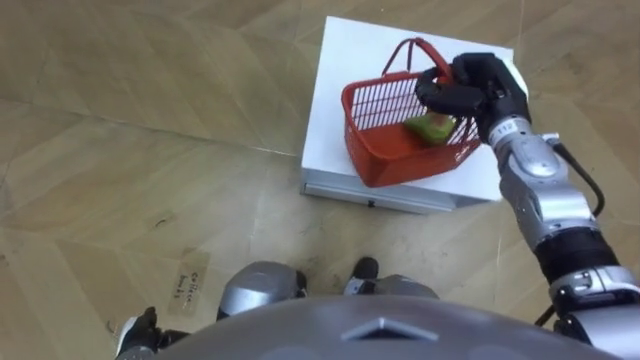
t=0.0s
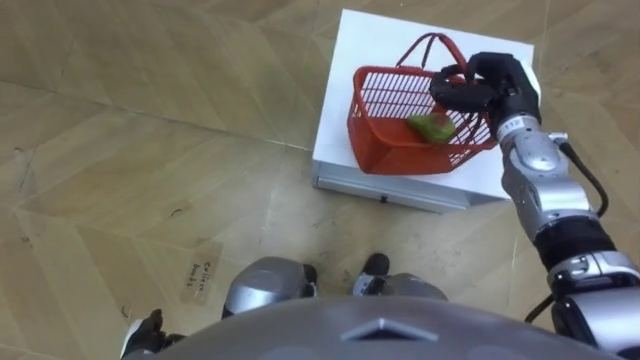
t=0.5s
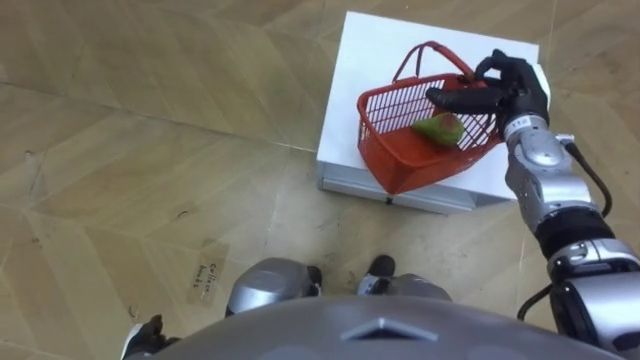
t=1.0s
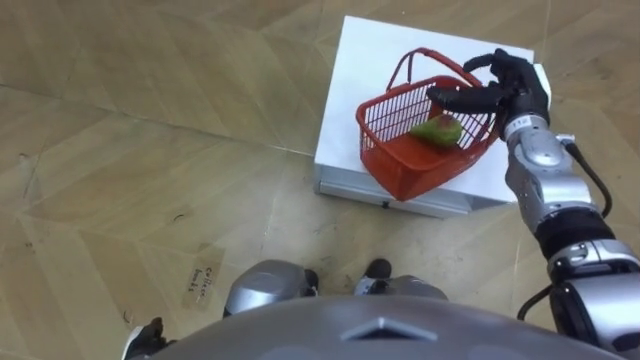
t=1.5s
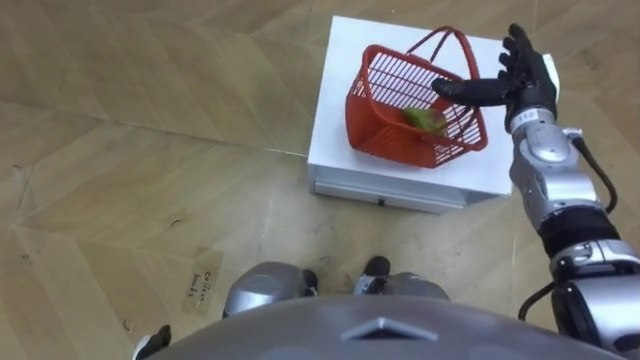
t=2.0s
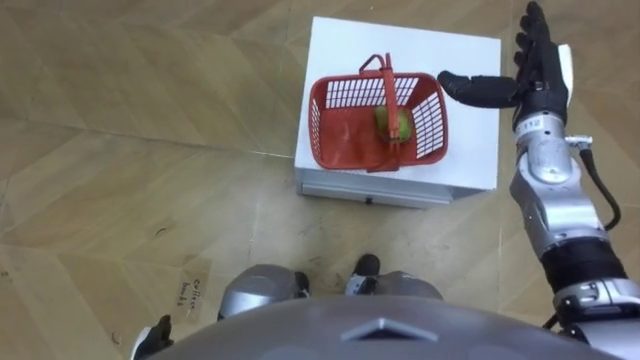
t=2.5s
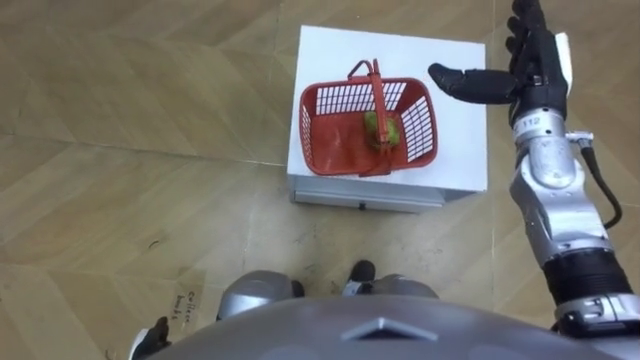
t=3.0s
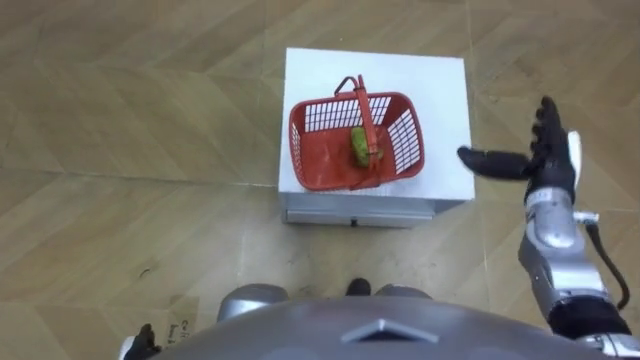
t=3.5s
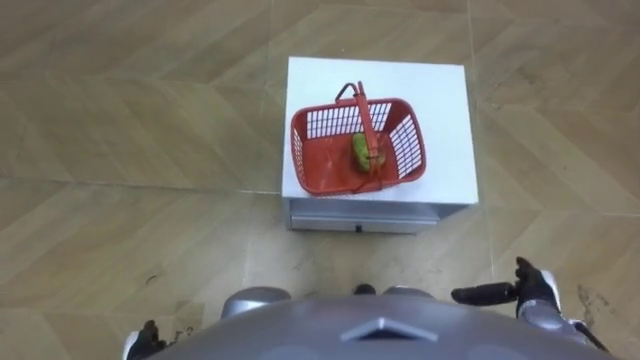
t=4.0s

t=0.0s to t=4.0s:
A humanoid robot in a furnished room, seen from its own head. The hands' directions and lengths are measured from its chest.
Task of the whole recording: Pick up the fruit basket from the floor and place it on the cabinet.
t=0.0s to t=2.0s: The right hand opens.
t=2.0s to t=4.0s: The right hand moves backward and downward, about 30 cm.

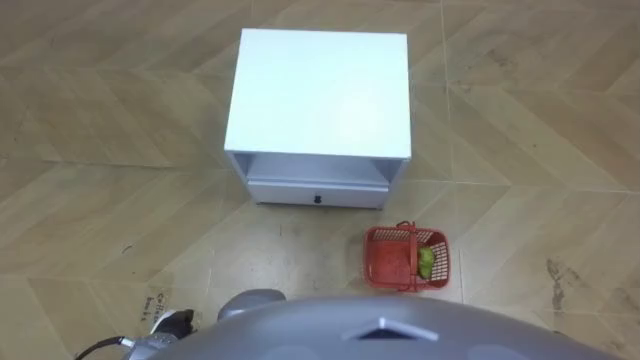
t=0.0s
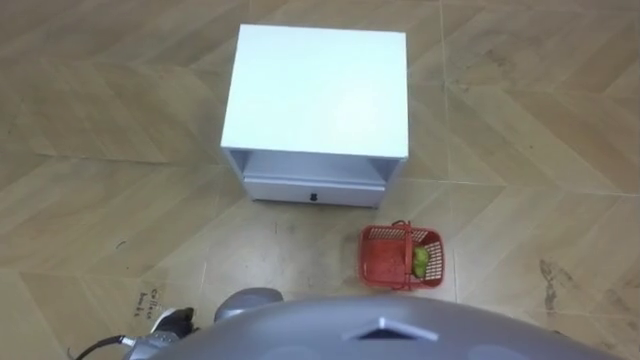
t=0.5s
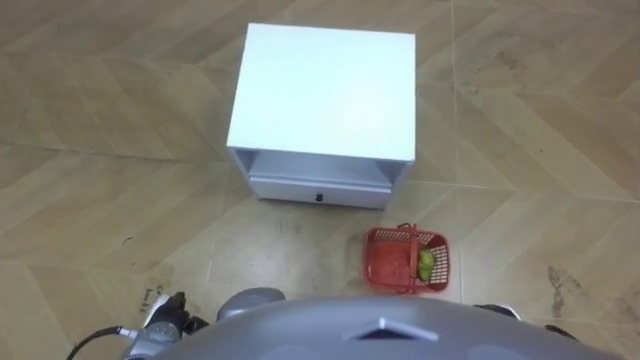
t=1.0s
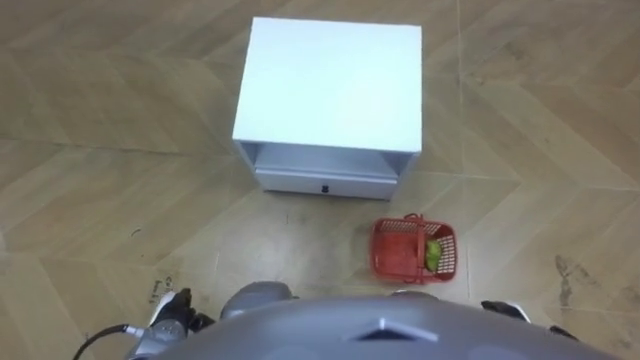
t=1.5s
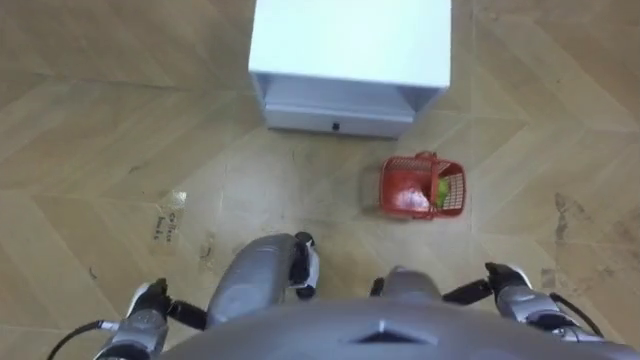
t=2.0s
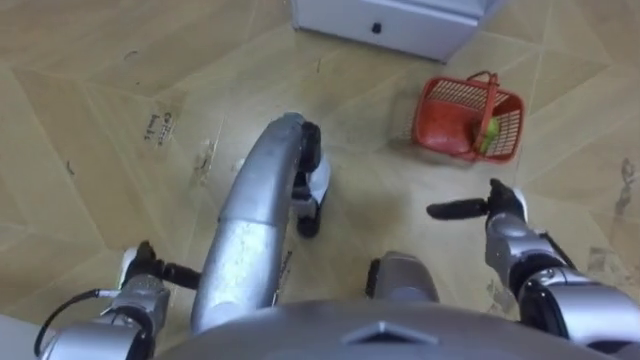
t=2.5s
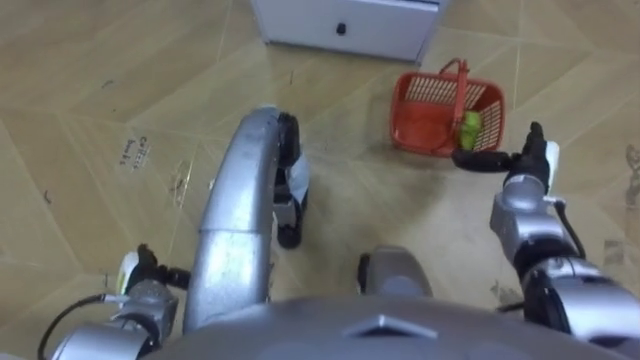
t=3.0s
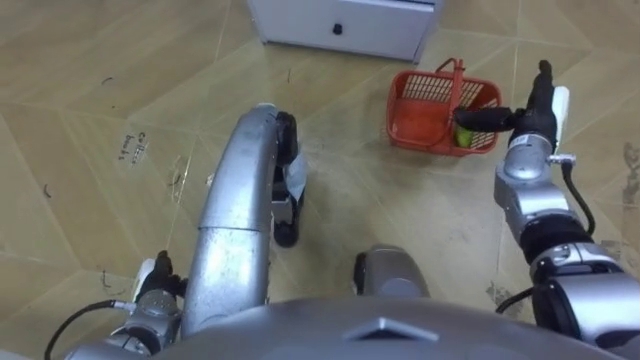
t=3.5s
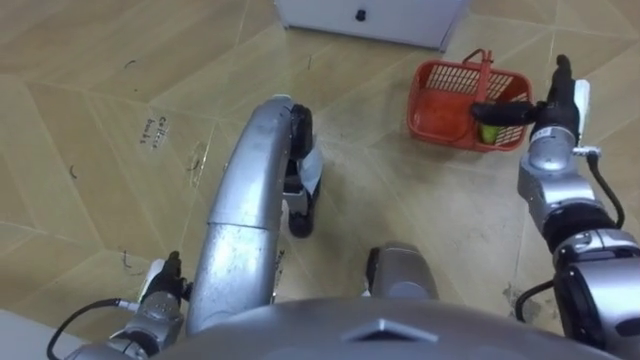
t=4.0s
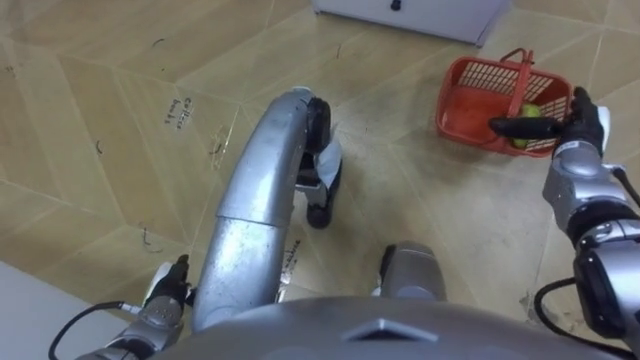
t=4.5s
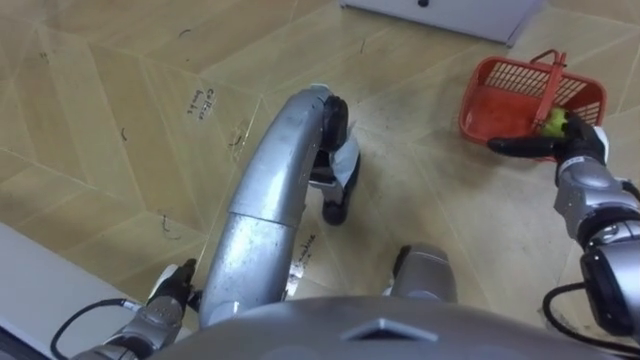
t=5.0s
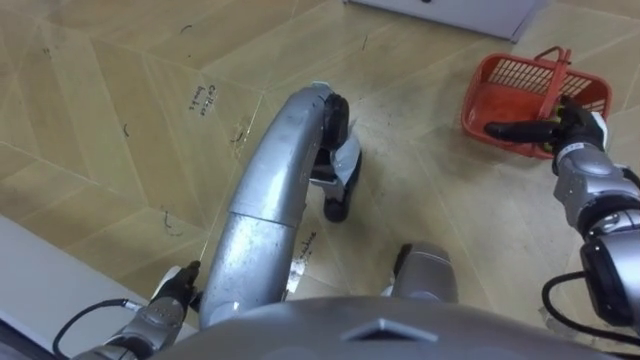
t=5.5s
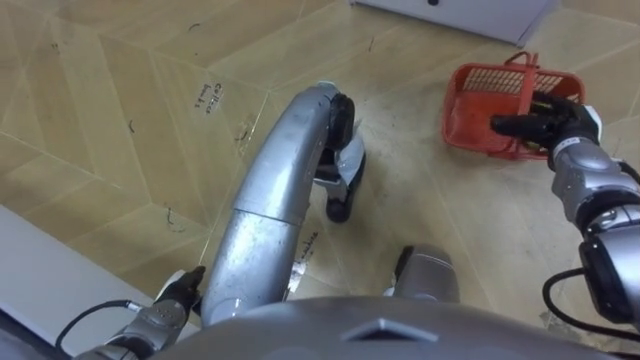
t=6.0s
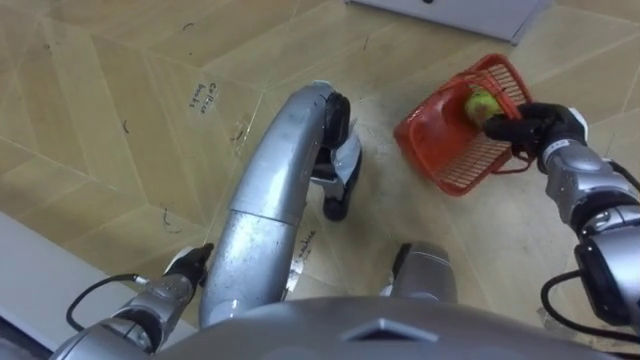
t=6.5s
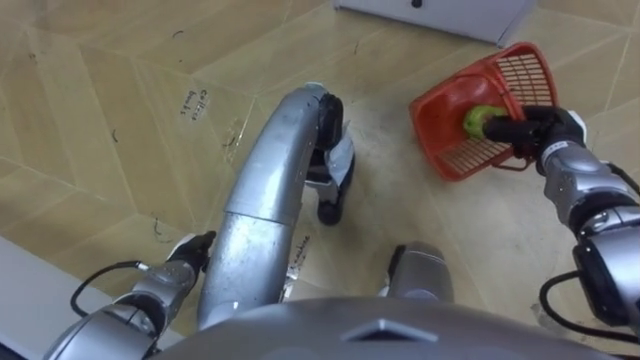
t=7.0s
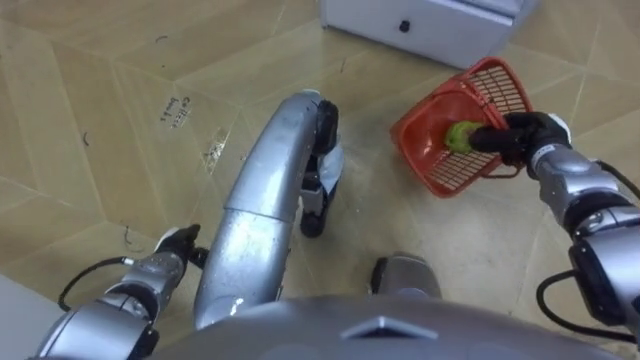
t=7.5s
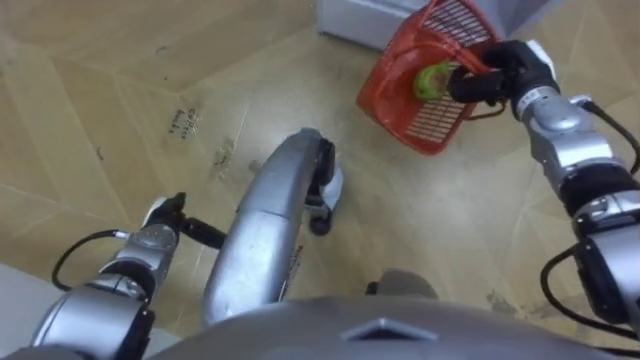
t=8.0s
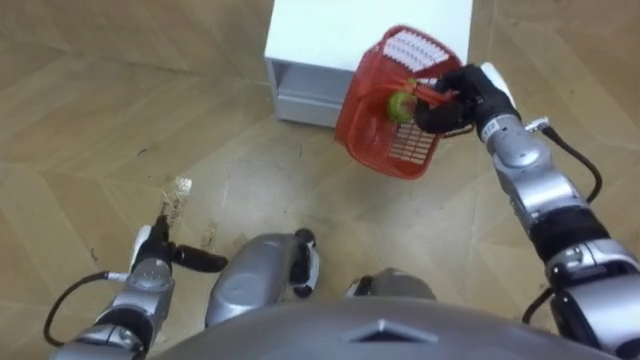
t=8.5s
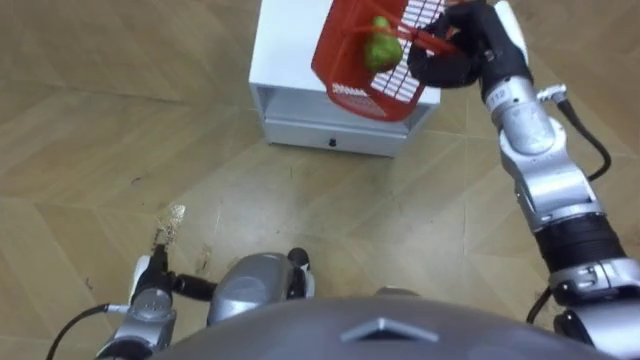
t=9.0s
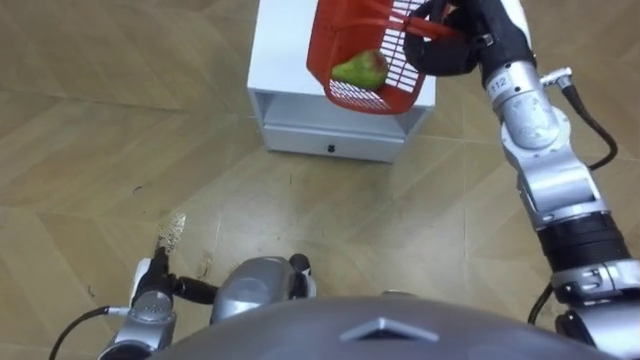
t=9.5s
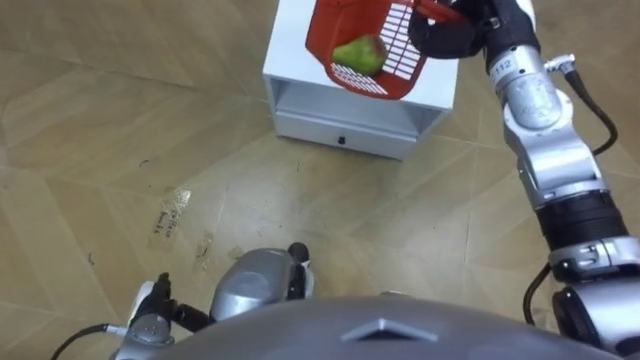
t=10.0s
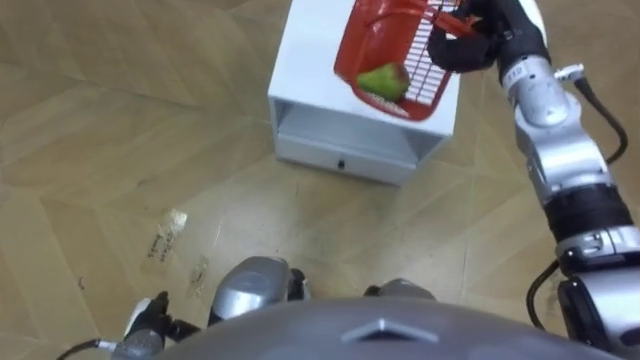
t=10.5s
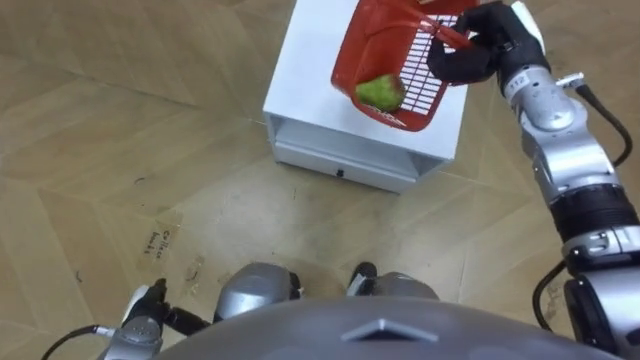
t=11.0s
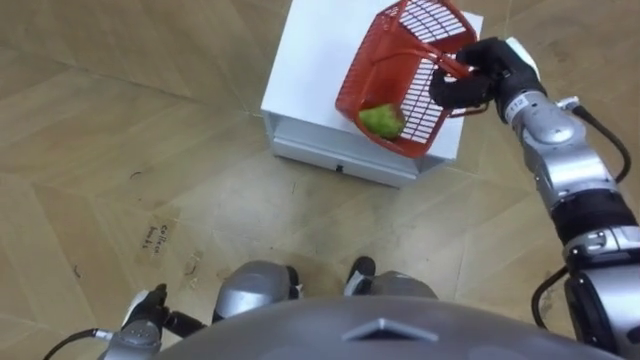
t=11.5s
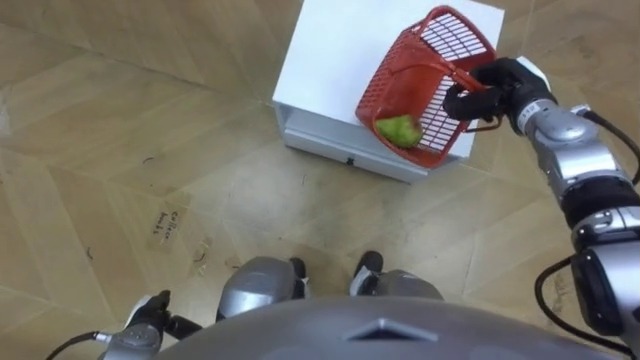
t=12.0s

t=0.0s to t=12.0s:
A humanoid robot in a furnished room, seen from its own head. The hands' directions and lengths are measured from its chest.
Task of the whole recording: Pick up the fruit basket from the floor and place it on the cabinet.
t=2.0s to t=4.0s: The right hand goes about 25 cm forward and upward.
t=6.0s to t=8.0s: The right hand shifts about 10 cm to the left and forward, and closes up, while the left hand moves forward, approximately 10 cm.
t=8.0s to t=10.0s: The left hand travels backward by roughly 15 cm; the right hand heads upward and to the left, covering approximately 15 cm.

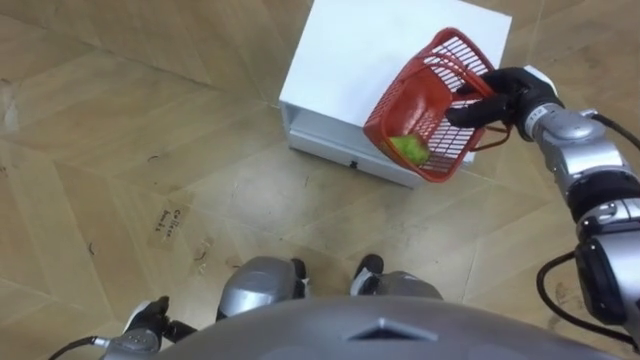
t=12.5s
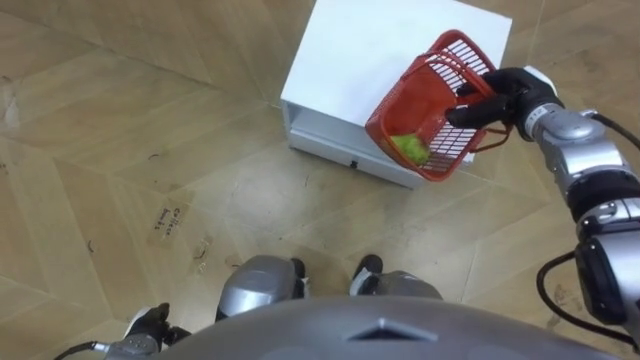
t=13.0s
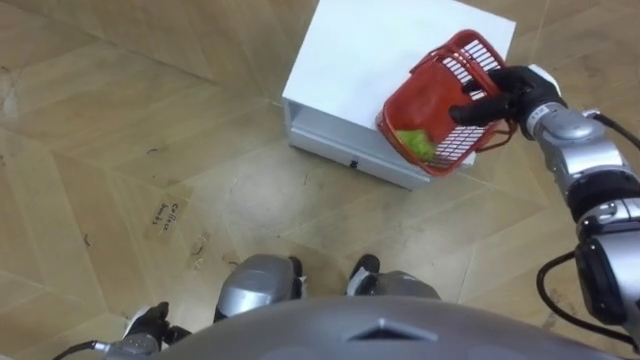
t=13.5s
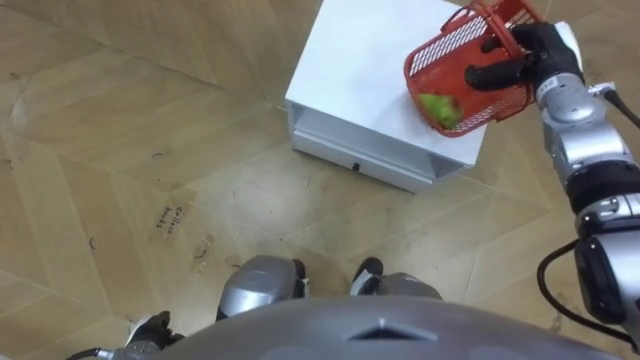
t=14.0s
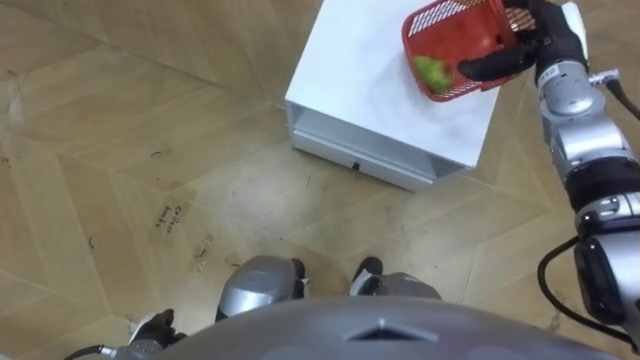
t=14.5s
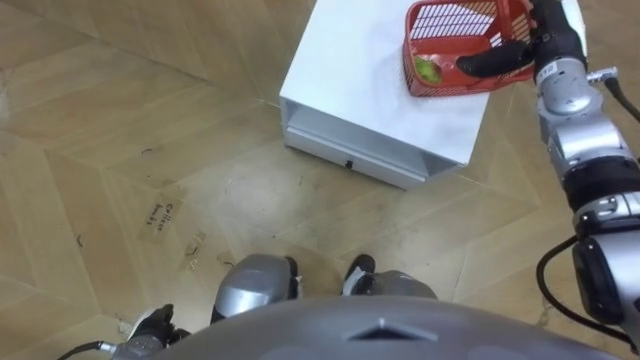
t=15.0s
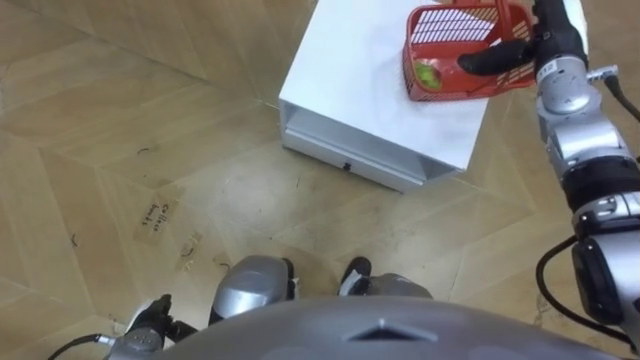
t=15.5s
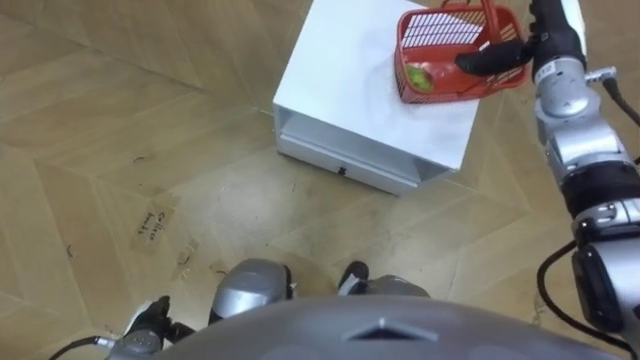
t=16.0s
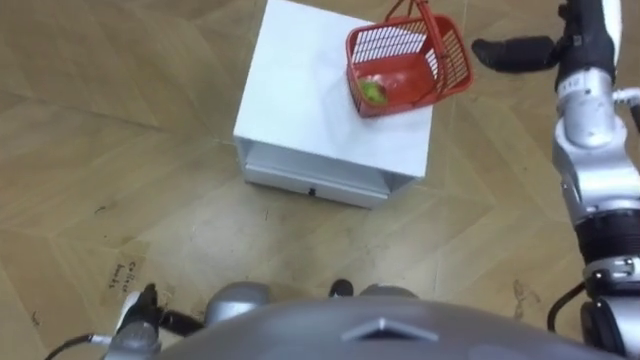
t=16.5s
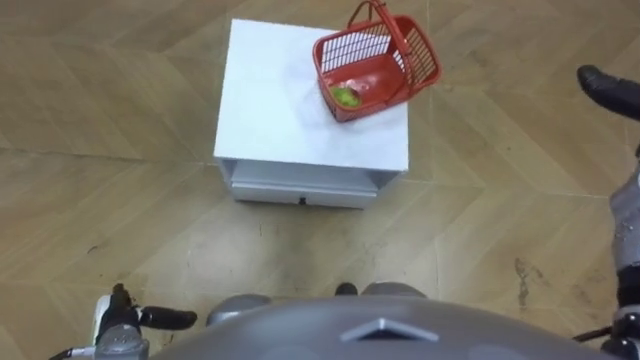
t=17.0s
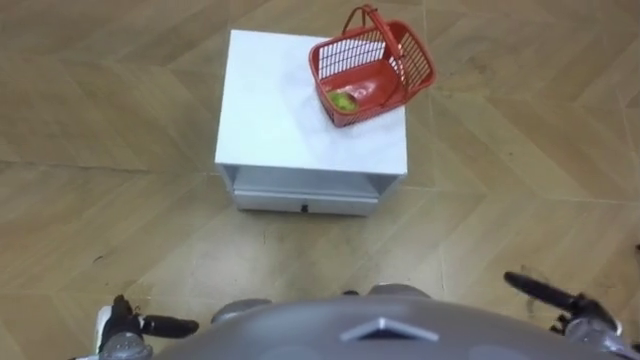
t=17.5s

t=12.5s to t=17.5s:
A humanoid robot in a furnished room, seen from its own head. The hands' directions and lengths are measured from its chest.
Task of the whole recording: Pick up the fruit basket from the floor and place it on the cabinet.
t=12.5s to t=15.0s: The right hand goes approximately 5 cm upward, and opens up.
